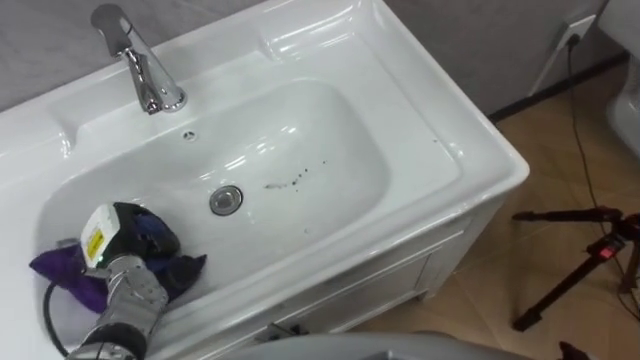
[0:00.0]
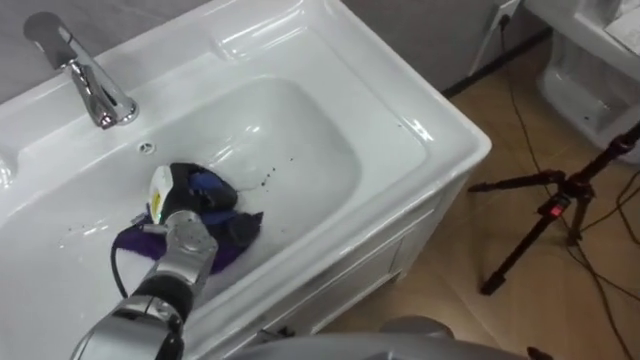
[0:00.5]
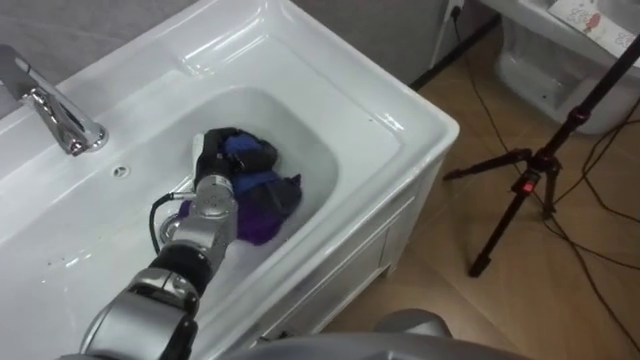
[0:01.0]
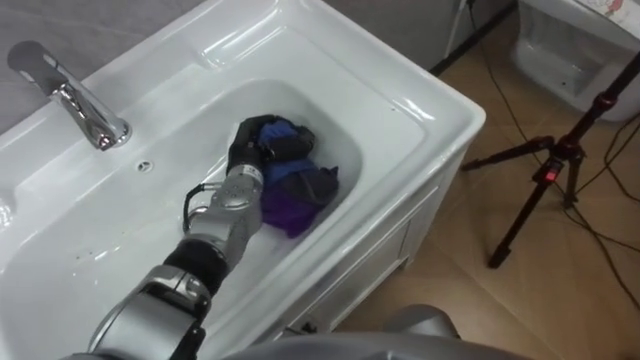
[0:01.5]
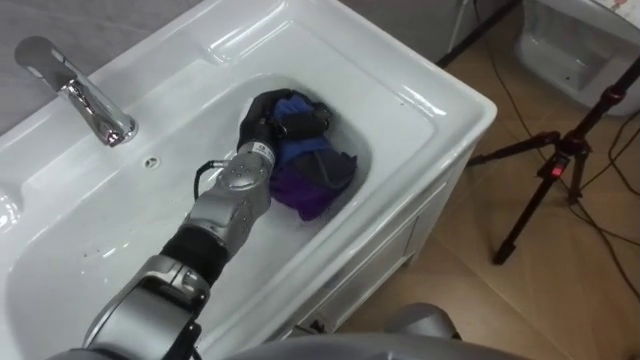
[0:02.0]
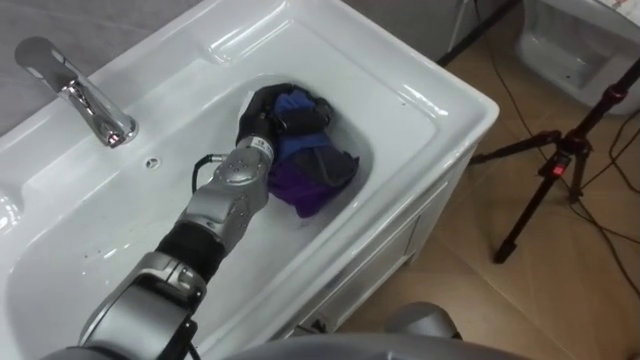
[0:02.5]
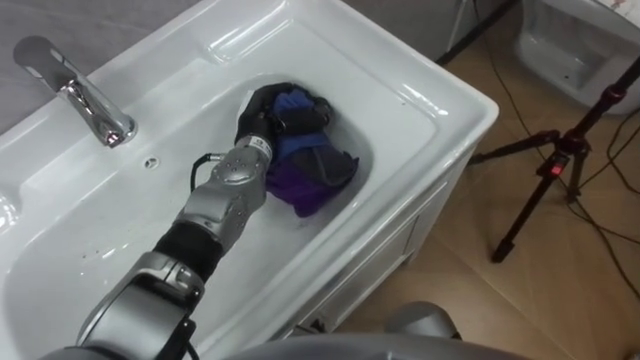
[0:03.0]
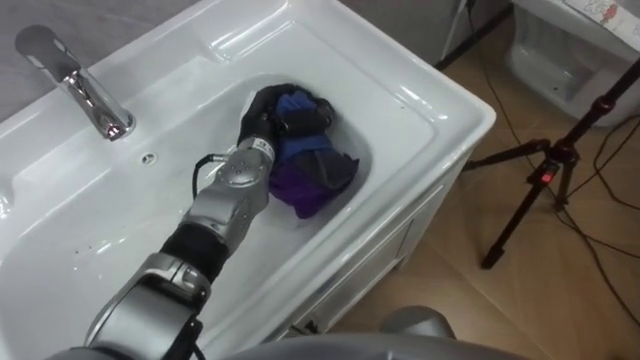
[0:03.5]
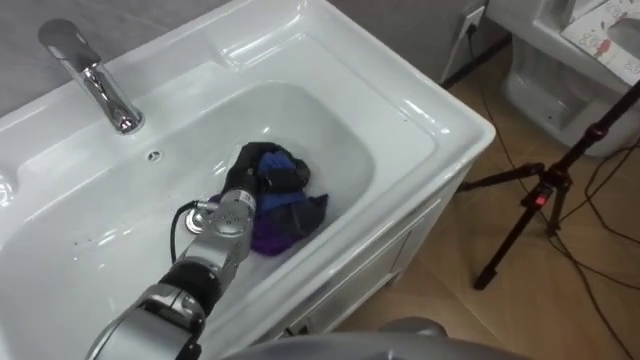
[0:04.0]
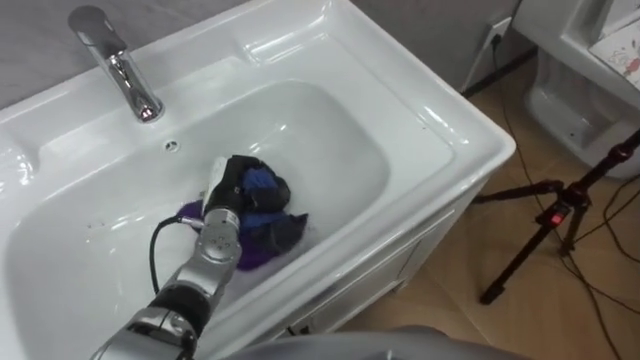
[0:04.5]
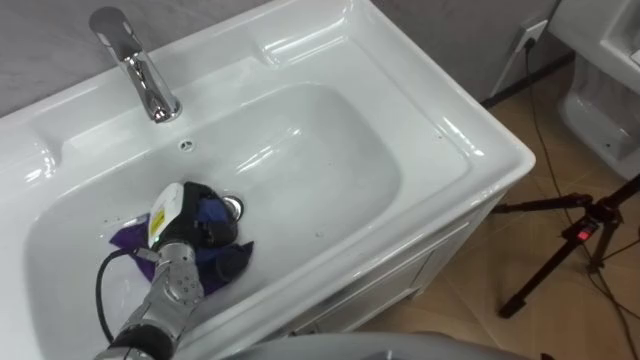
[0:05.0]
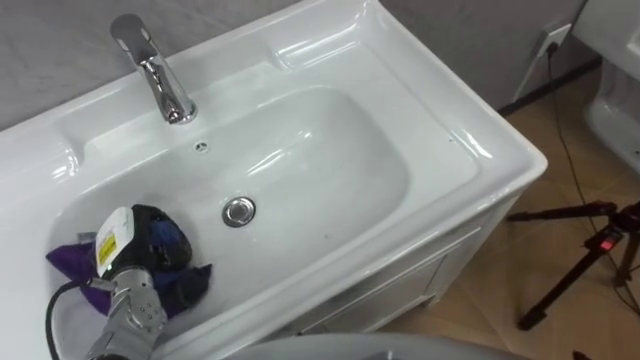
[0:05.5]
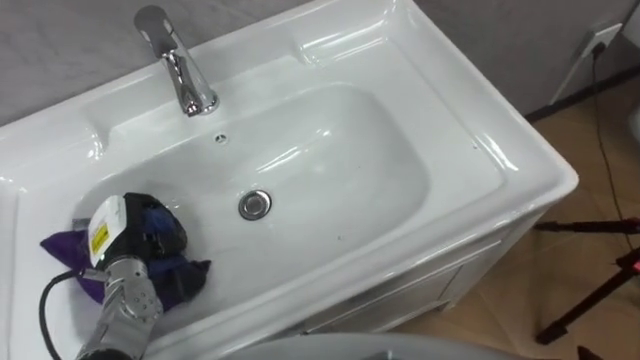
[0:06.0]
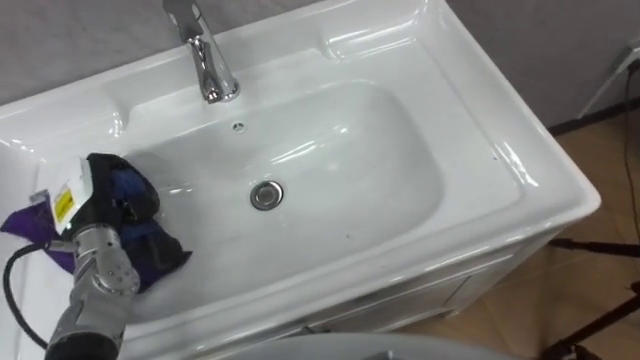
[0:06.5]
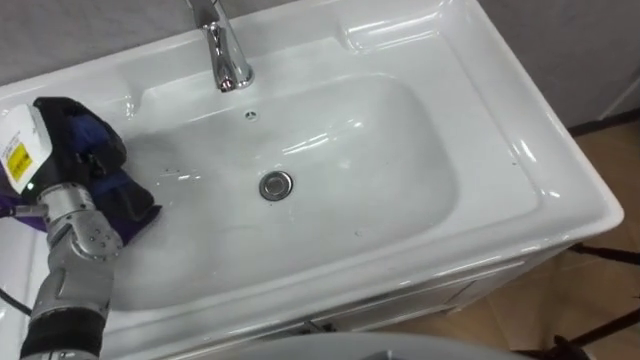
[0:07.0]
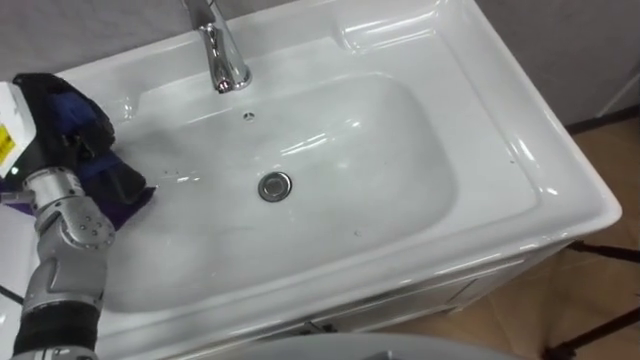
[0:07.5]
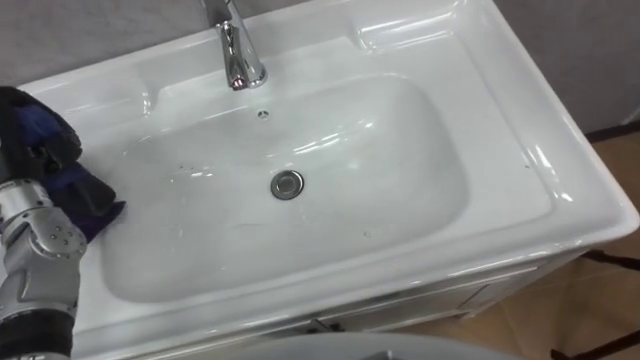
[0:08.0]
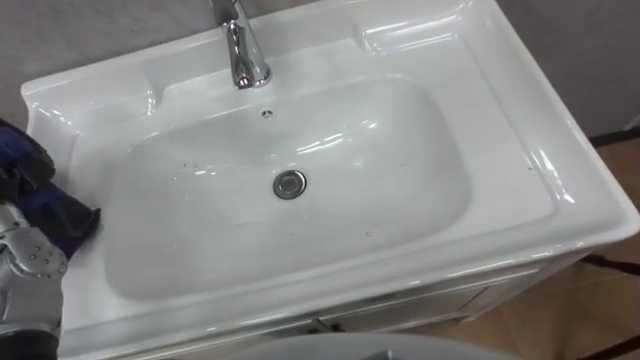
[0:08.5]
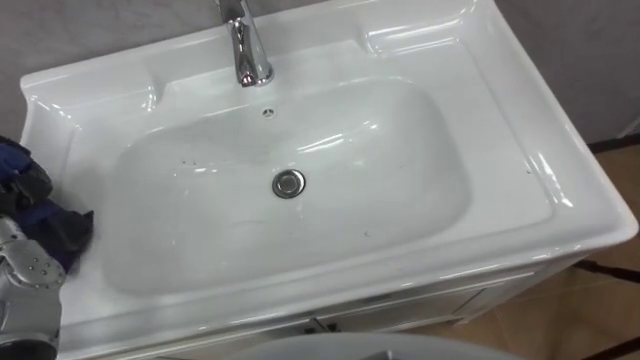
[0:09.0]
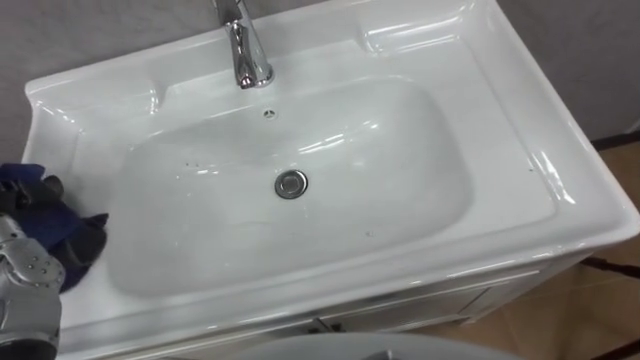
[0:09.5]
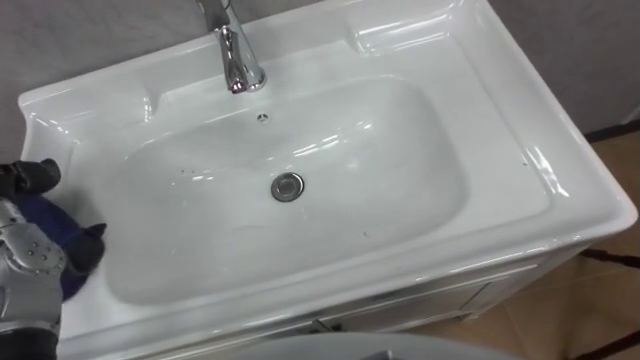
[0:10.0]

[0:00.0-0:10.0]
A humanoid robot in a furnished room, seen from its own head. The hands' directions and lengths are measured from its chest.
Task of the whole recording: Use the cloth on the right to wipe away the black stain in the sink.
0:00.0 to 0:02.0: The left hand is displaced to the right and forward by about 25 cm.
0:02.0 to 0:04.0: The left hand travels downward by about 5 cm.
0:04.0 to 0:06.0: The left hand moves to the left and backward, roughly 20 cm.

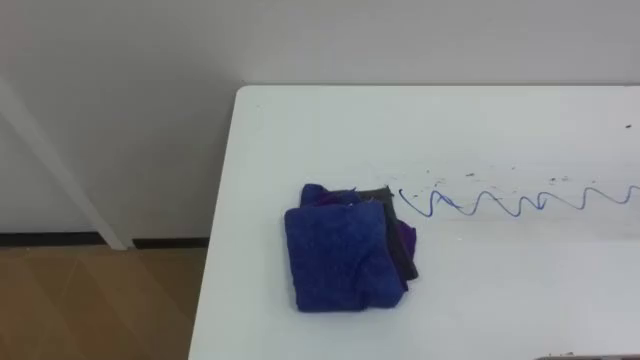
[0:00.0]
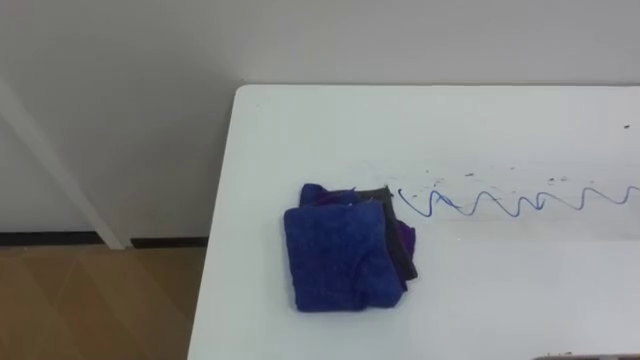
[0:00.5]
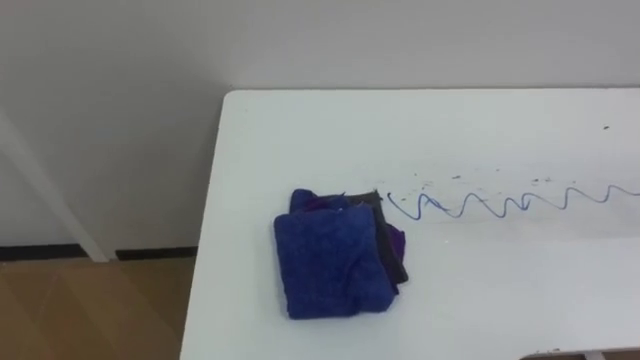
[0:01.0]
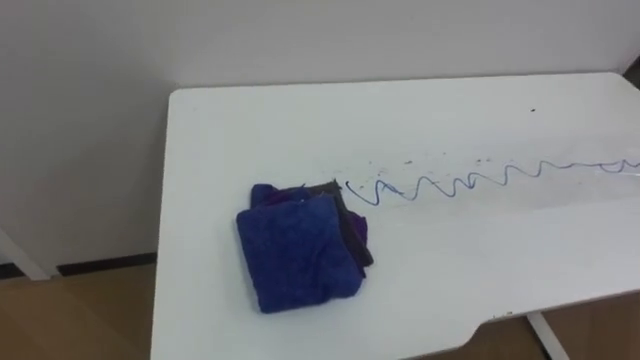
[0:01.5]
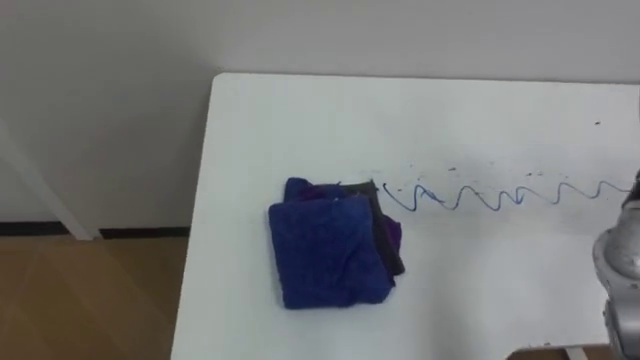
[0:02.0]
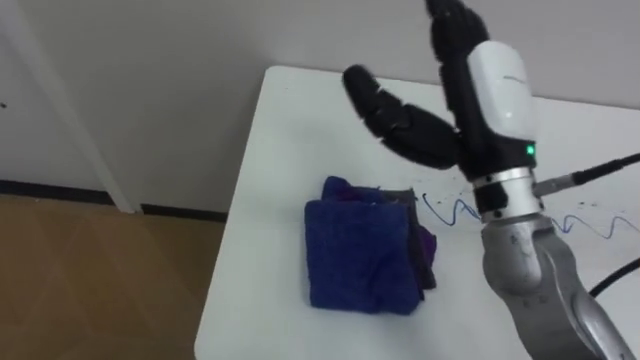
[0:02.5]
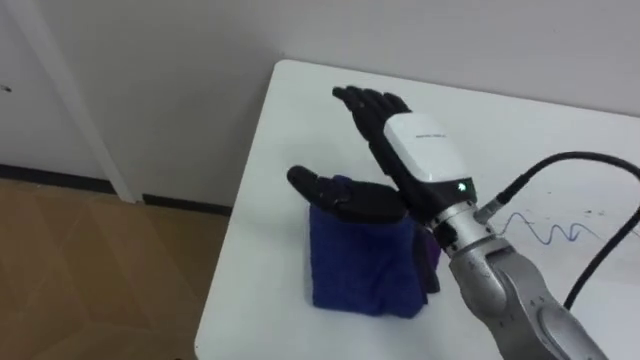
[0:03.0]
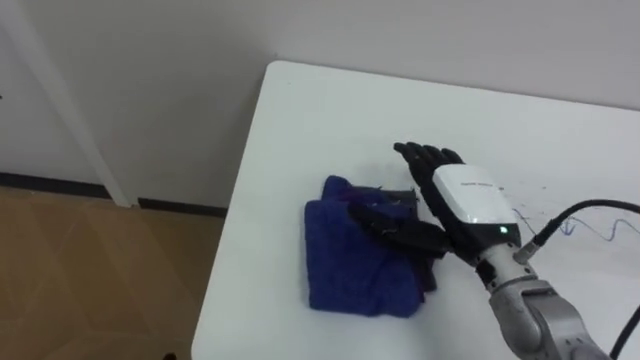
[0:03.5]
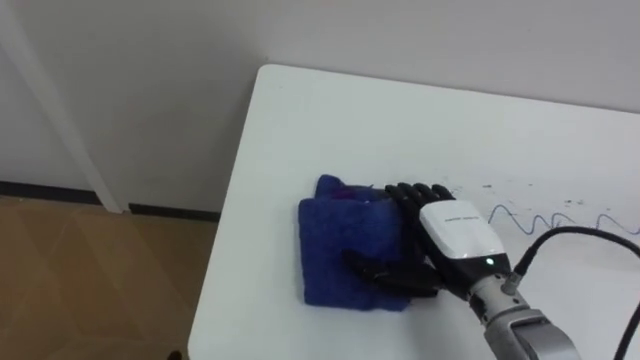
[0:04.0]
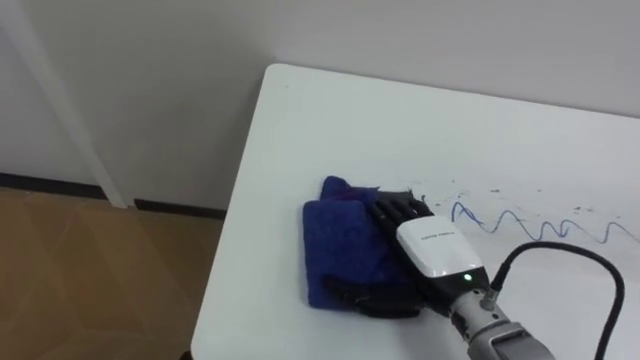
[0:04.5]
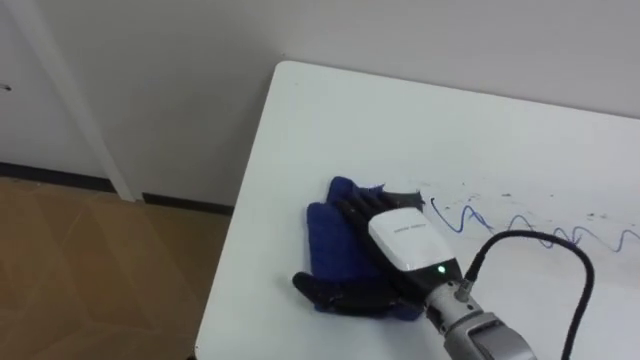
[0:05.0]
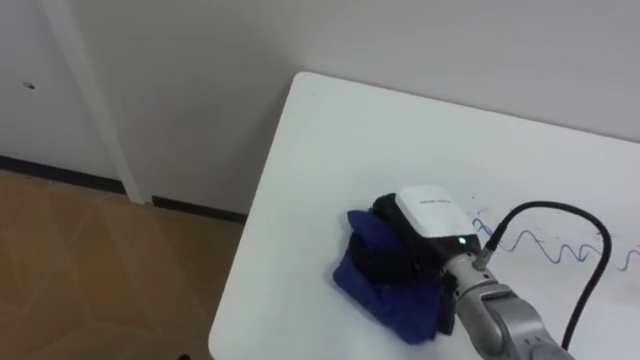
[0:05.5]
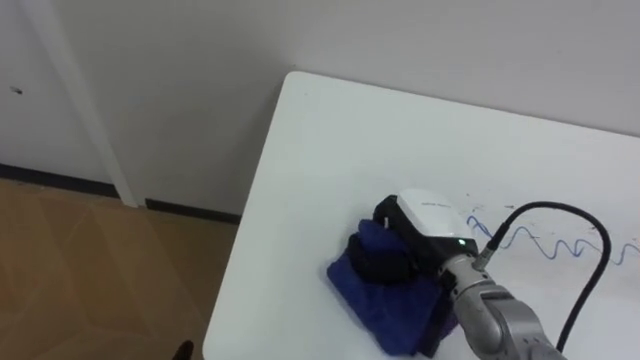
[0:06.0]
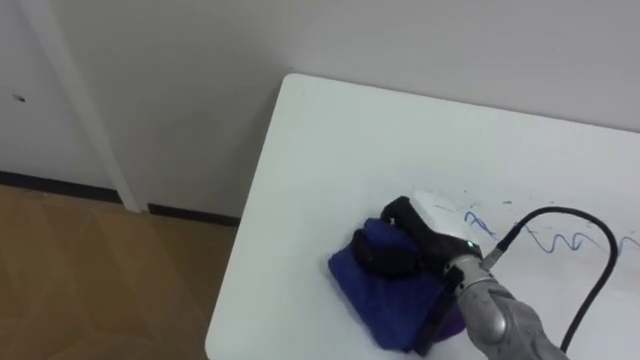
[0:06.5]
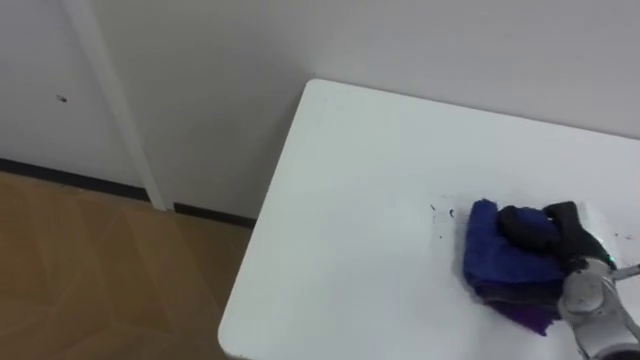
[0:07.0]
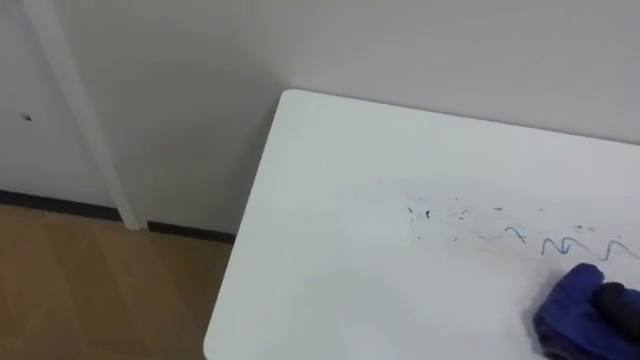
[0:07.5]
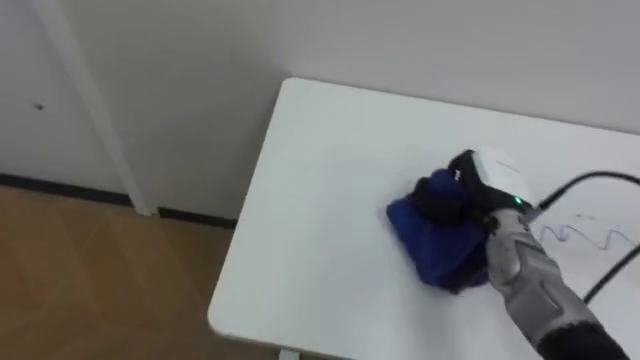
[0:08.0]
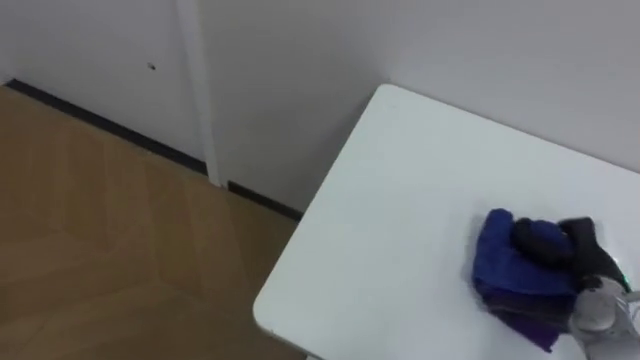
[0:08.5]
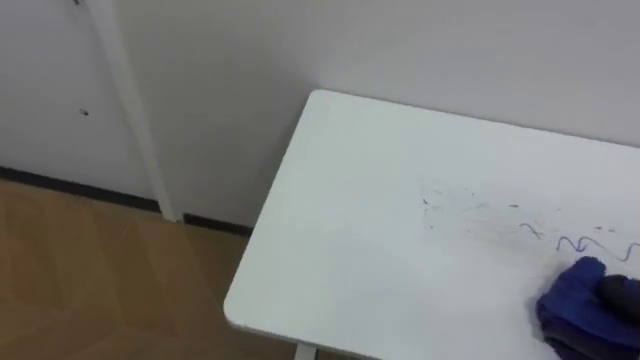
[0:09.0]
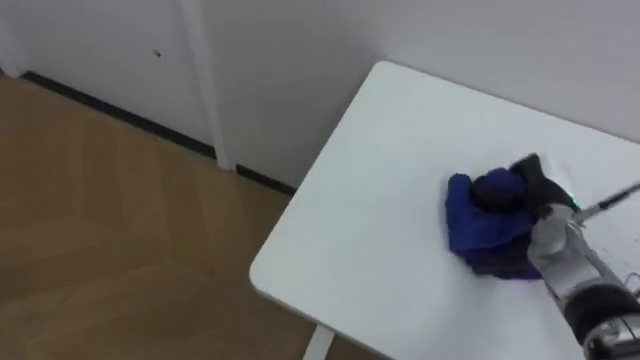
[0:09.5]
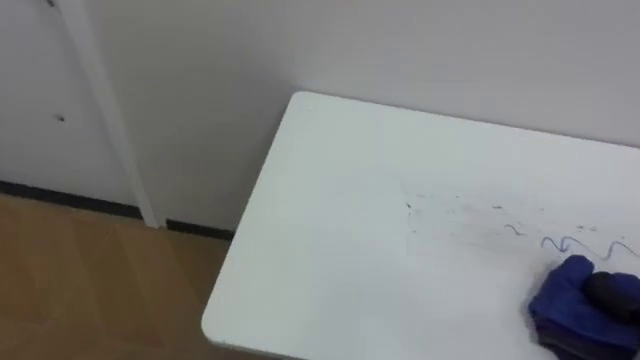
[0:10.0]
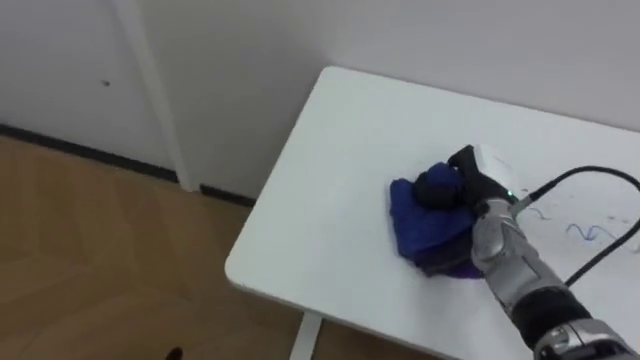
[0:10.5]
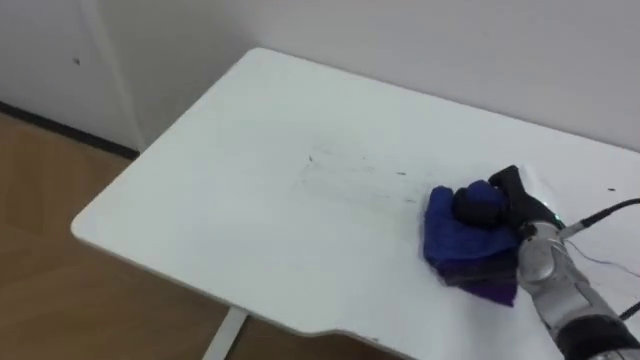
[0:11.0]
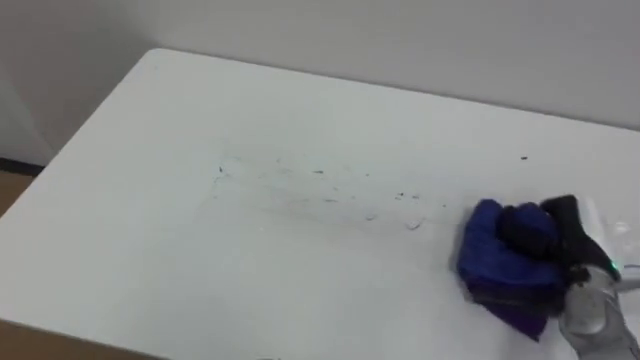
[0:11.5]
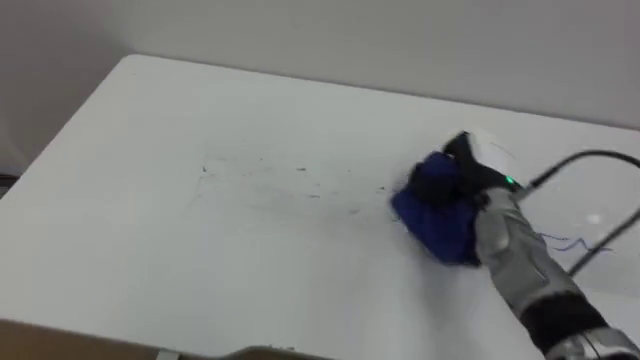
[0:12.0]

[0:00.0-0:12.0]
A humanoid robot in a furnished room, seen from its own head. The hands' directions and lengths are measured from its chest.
Task of the whole recording: Wipe the blue pen marks off the table with the rag.
0:04.0 to 0:06.0: The right hand closes its fingers.
